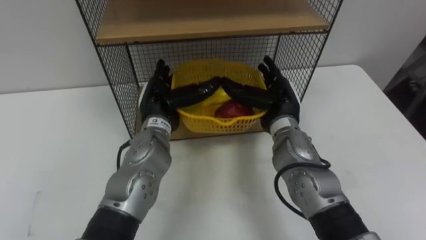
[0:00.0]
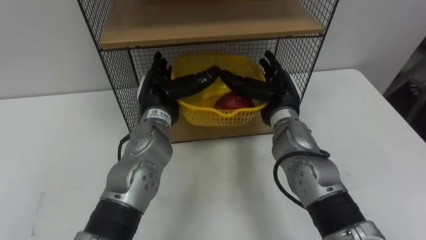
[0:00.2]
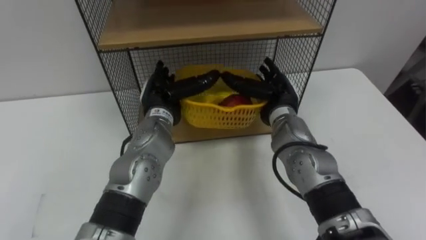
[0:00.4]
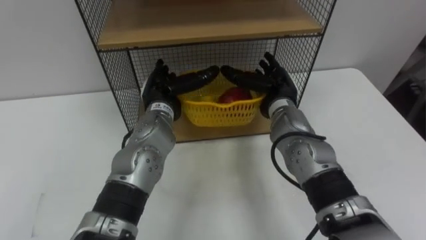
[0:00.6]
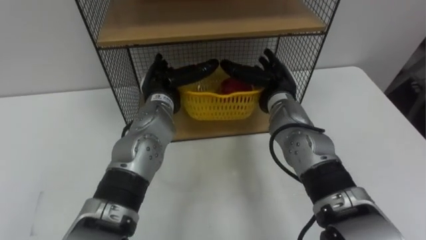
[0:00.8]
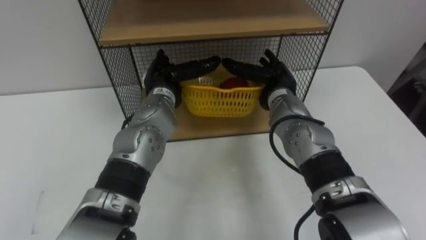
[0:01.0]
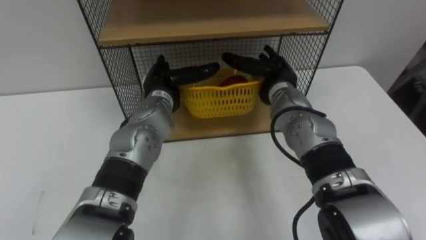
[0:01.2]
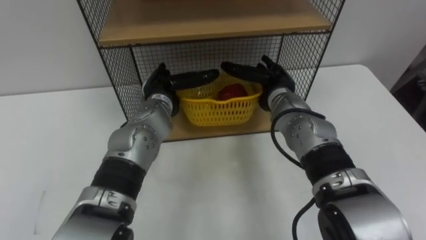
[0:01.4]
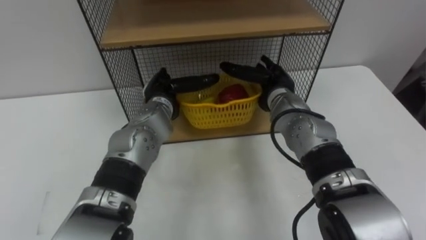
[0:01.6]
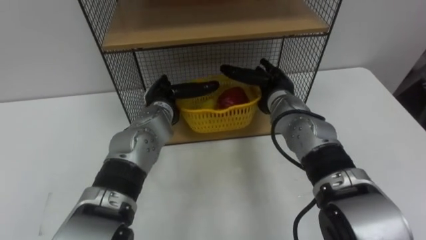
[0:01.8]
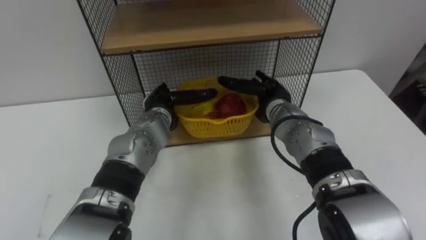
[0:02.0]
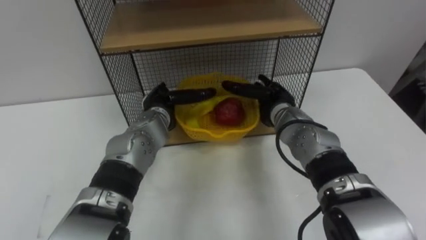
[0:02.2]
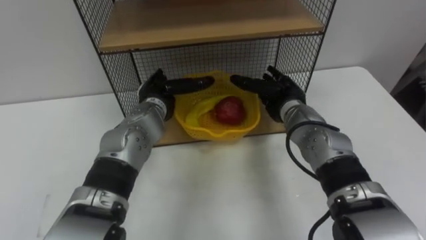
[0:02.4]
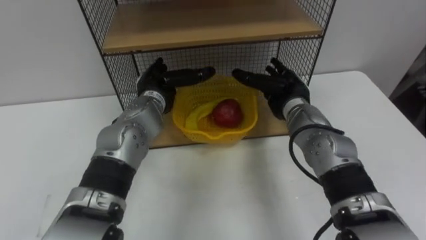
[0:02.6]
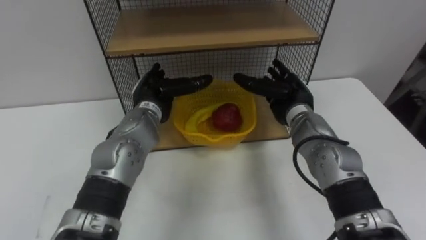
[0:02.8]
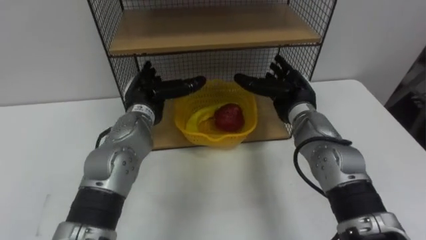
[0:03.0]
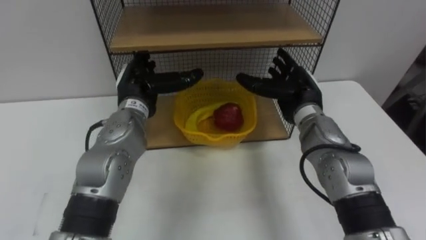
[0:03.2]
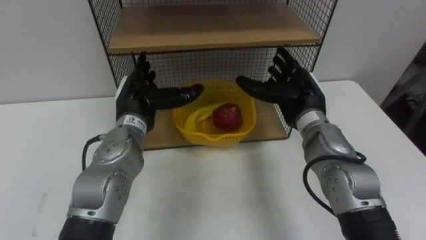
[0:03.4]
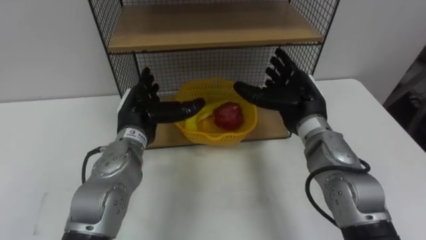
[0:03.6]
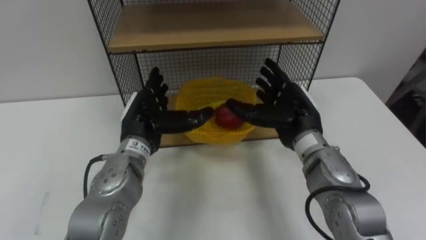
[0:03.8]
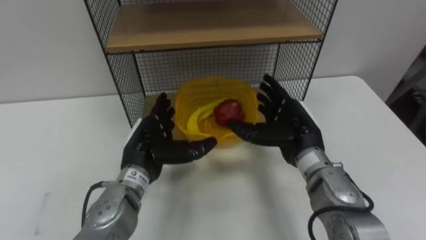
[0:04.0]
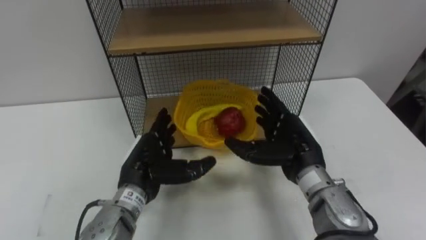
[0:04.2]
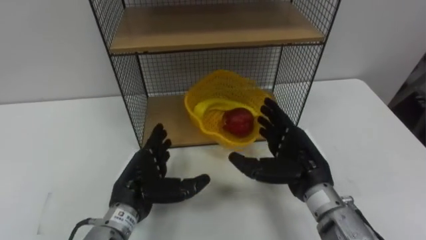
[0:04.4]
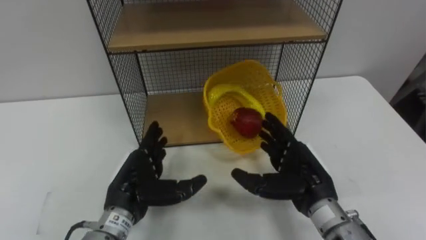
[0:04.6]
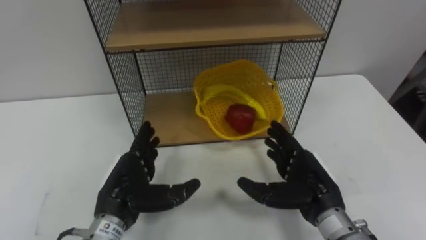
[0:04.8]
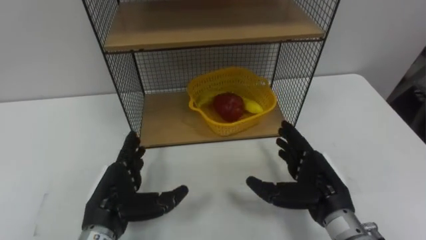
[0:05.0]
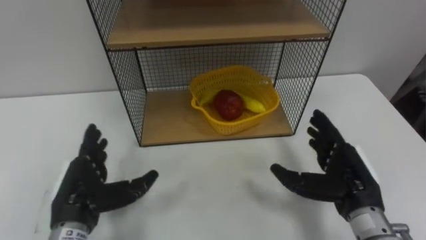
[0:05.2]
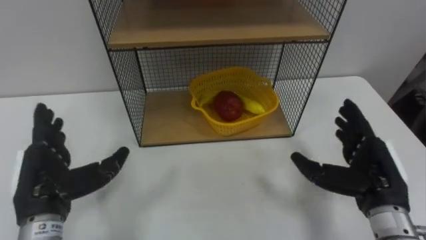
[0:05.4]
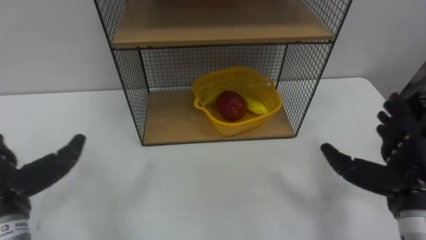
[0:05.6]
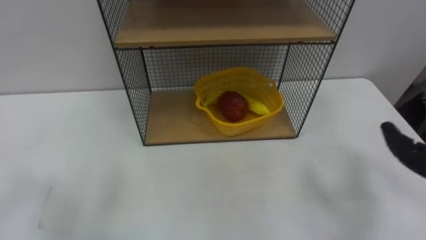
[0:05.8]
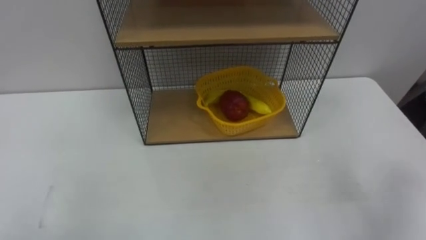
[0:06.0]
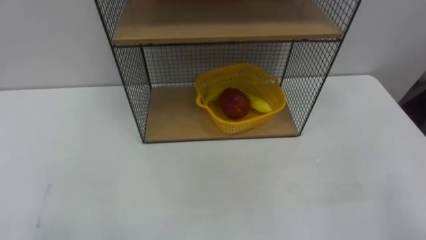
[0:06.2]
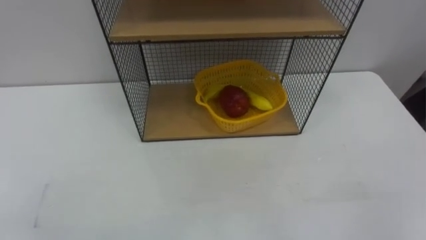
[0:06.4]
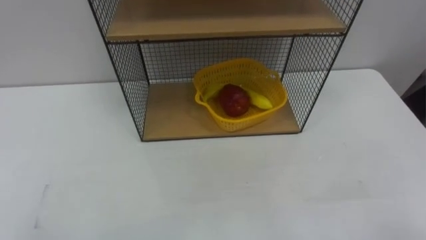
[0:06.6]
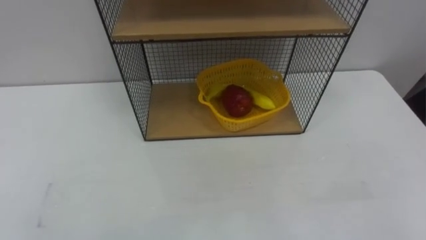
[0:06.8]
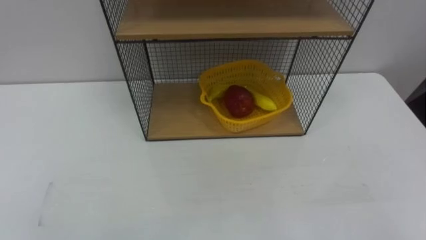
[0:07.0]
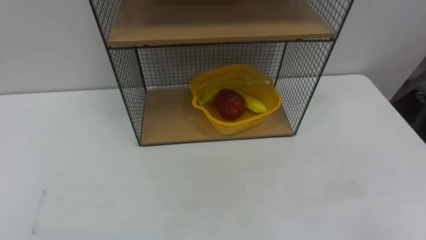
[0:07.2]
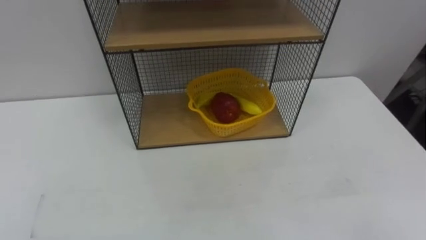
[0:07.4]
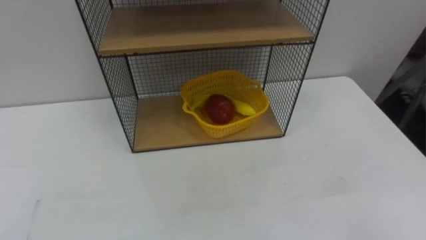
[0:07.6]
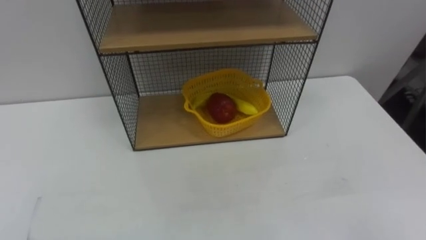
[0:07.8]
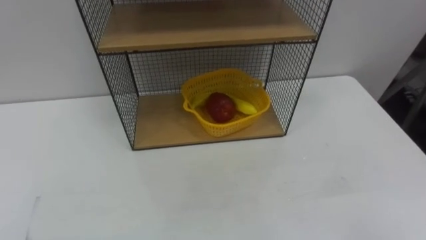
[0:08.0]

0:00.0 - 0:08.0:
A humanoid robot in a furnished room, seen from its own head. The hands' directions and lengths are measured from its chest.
Task of the whole recording: Put the fruit on the table into the basket, then place the basket on the shelf.
0:00.0 - 0:01.6: The right hand travels forward by some 5 cm.
0:01.6 - 0:03.2: The left hand changes place by roughly 5 cm; the right hand moves approximately 5 cm.
0:03.2 - 0:04.8: The right hand heads backward, covering about 15 cm, while the left hand moves backward and downward, approximately 20 cm.

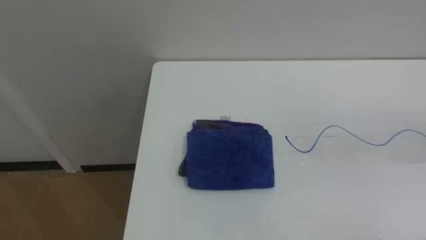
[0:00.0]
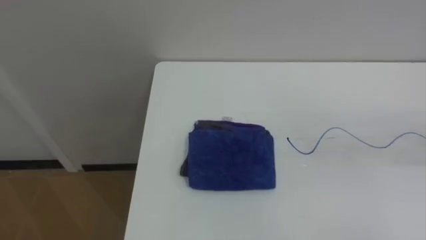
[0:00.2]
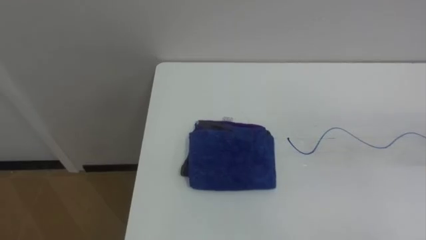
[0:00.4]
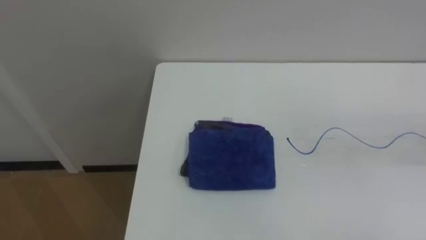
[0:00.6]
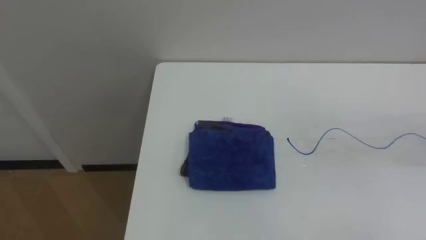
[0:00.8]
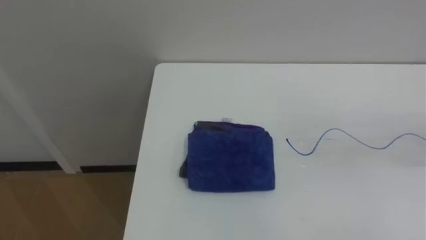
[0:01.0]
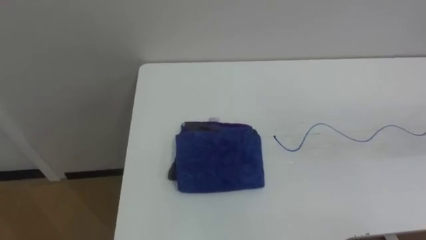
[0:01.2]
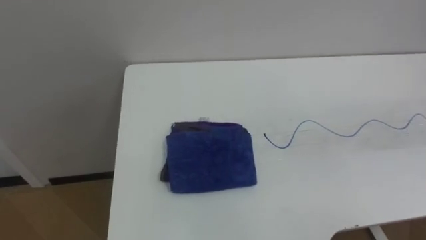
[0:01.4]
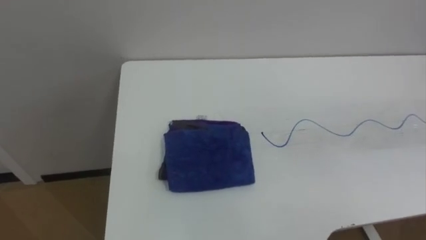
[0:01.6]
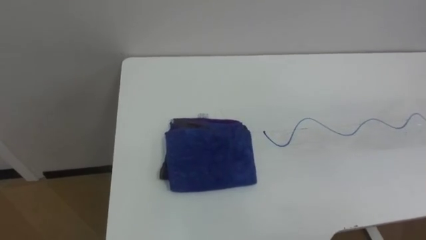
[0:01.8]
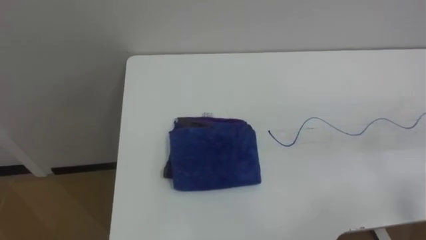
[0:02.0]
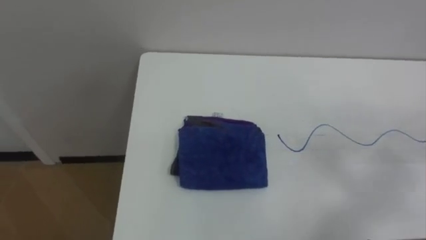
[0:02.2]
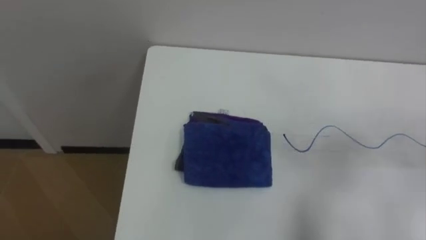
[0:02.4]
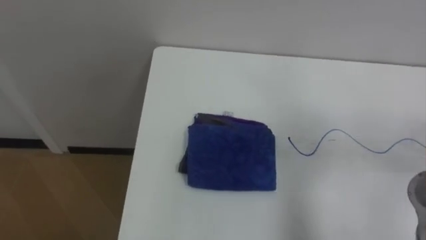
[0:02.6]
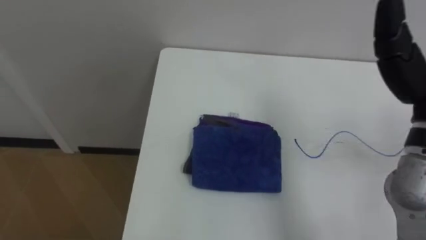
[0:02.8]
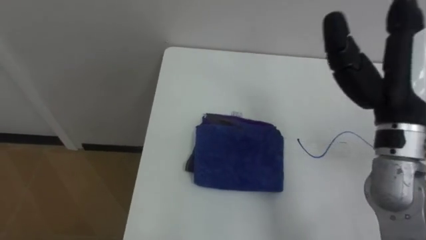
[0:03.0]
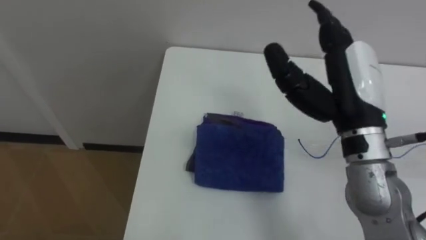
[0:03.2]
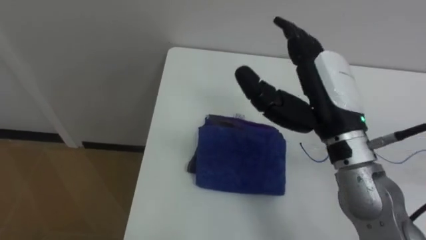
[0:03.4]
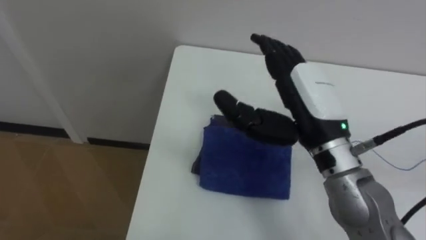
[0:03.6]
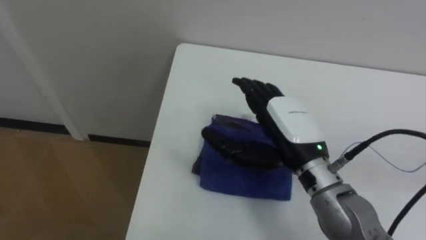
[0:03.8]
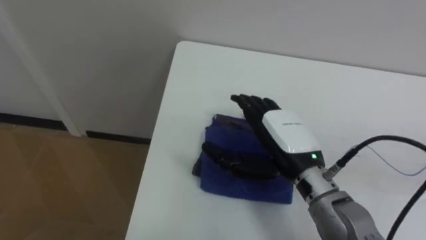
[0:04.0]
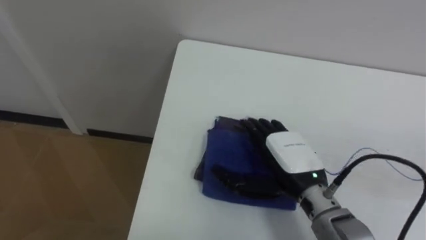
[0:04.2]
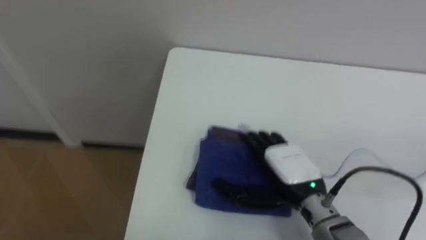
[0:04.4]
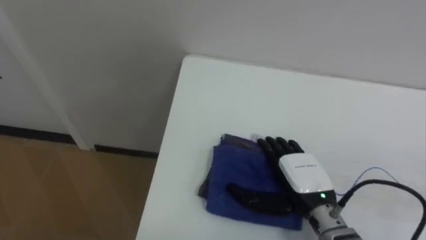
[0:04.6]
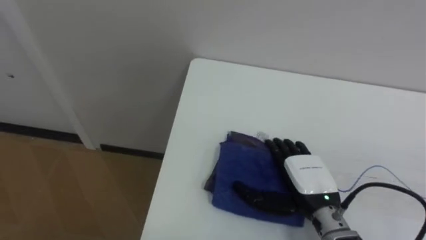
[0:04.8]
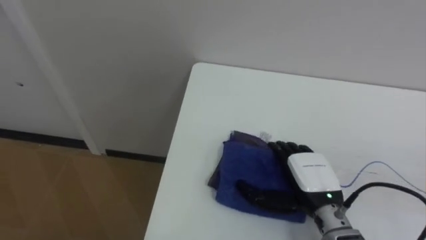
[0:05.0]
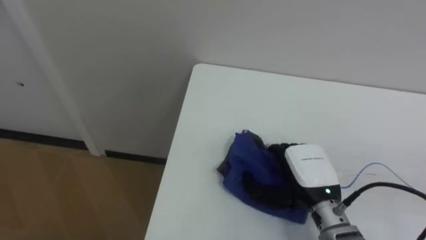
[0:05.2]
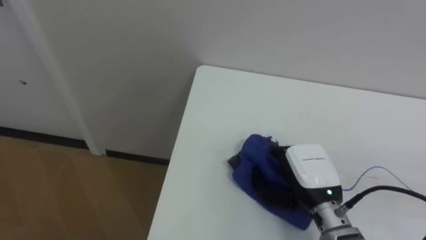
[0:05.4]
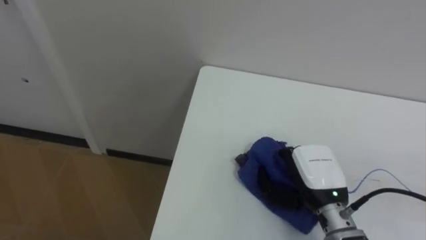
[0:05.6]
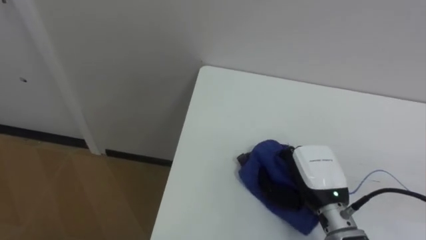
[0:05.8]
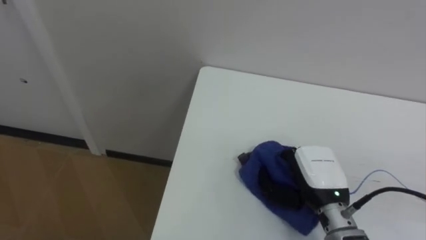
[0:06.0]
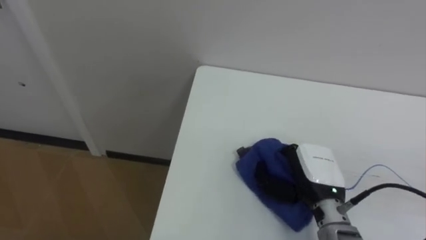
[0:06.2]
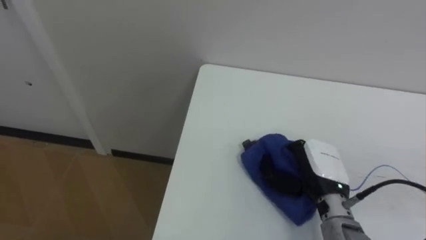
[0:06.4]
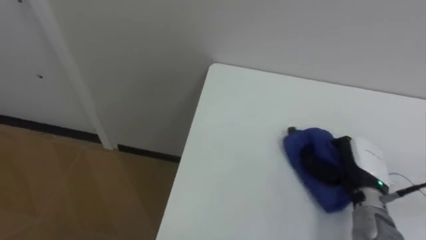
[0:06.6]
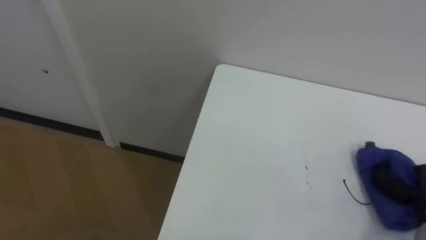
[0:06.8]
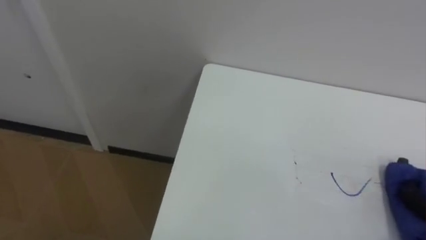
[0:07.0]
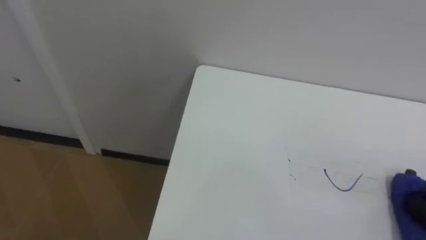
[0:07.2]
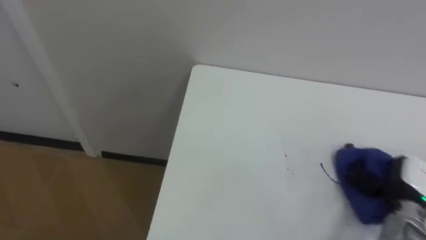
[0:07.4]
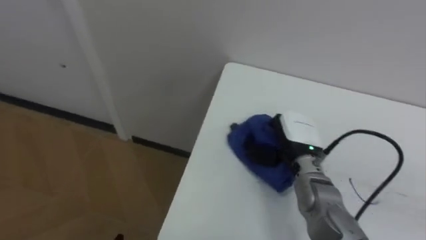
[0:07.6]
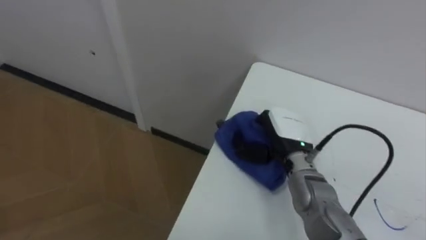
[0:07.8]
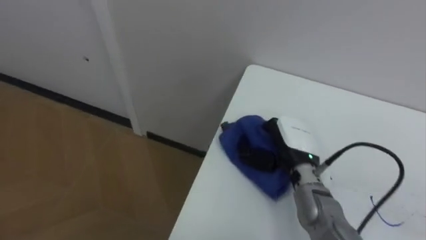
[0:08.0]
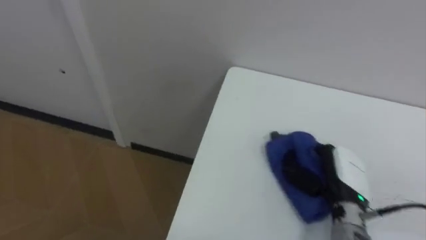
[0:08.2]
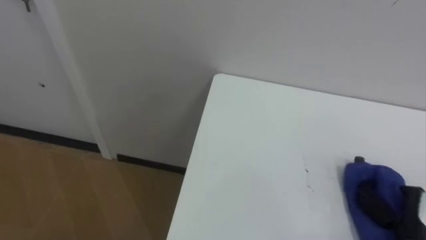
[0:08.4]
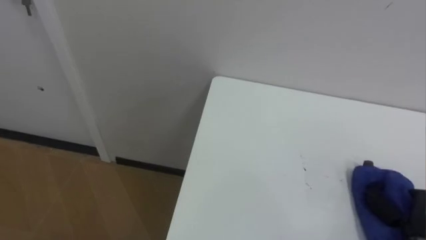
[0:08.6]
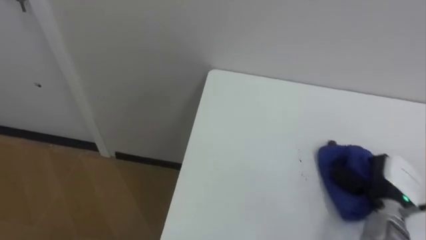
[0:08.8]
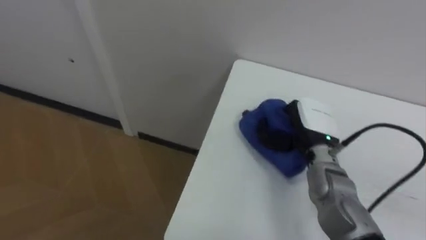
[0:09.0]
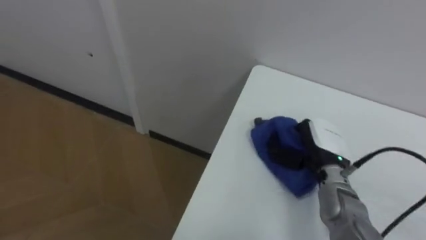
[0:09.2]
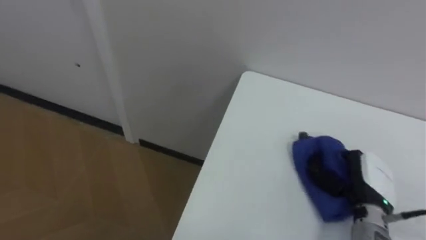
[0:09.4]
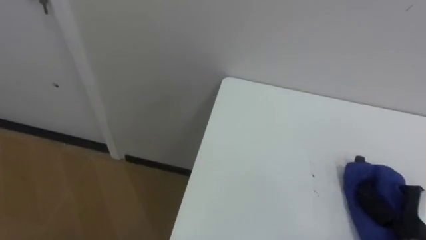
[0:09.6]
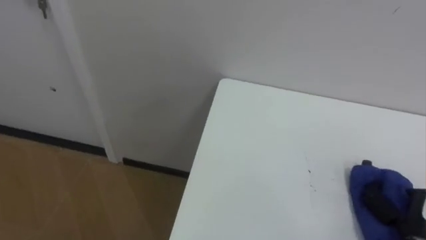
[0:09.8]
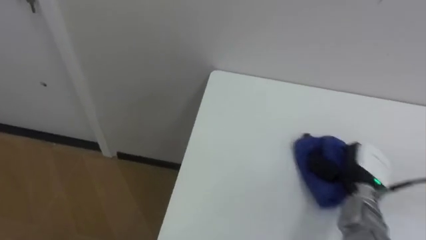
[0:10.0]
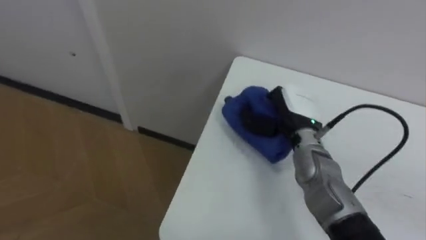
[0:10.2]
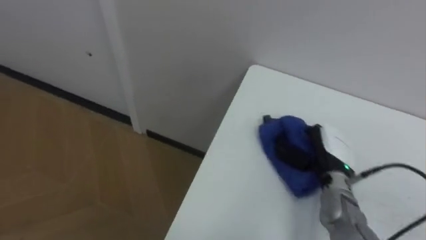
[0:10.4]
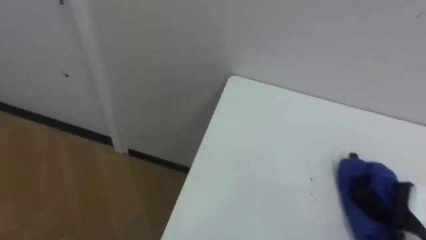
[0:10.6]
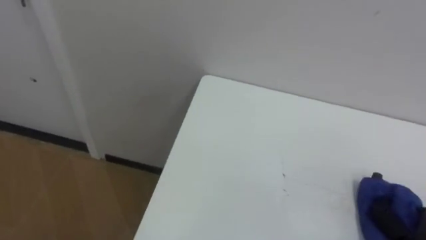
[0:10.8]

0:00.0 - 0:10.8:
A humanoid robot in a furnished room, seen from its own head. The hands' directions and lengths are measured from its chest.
Task of the whole recording: Wipe the blue pen marks off the table with the rag.
0:03.0 - 0:04.6: The right hand is displaced downward by some 20 cm.
0:04.6 - 0:06.2: The right hand closes.
0:07.8 - 0:09.2: The right hand goes to the right and returns, approximately 25 cm each way.
